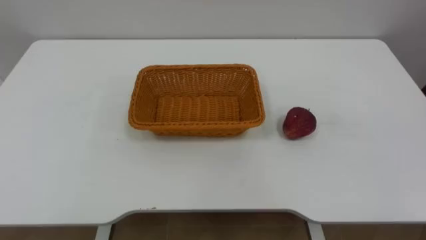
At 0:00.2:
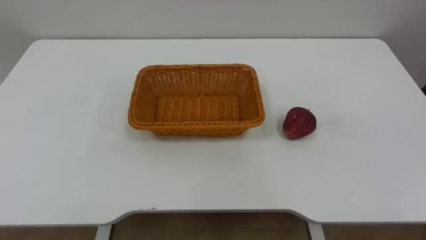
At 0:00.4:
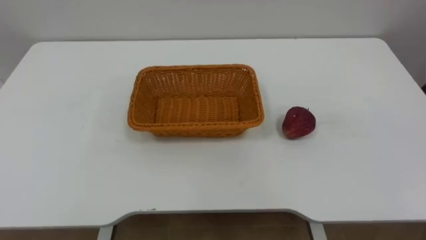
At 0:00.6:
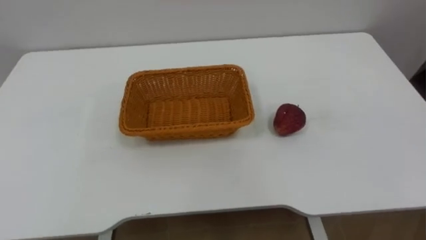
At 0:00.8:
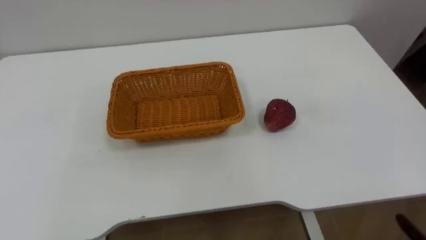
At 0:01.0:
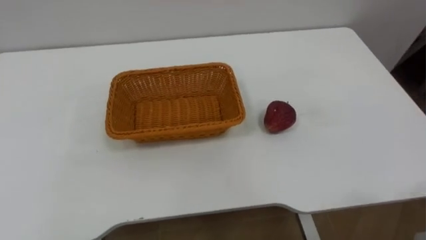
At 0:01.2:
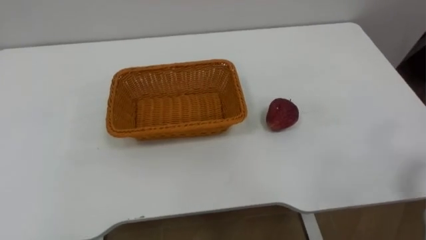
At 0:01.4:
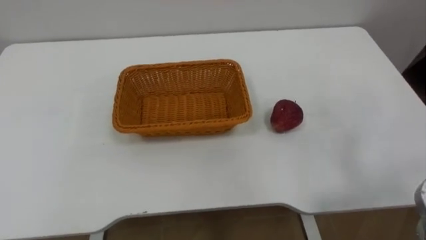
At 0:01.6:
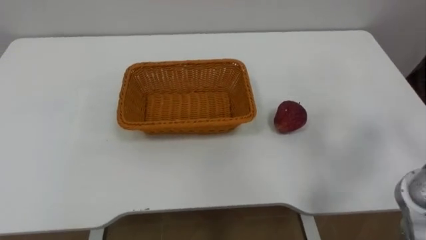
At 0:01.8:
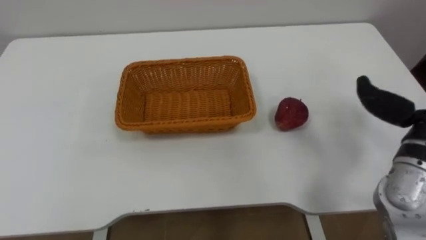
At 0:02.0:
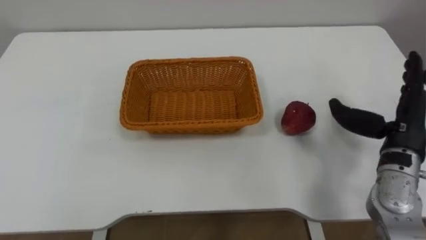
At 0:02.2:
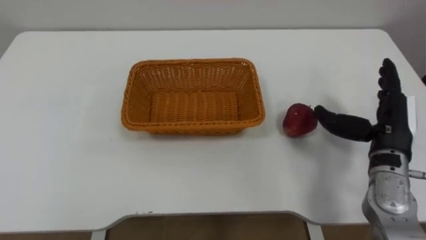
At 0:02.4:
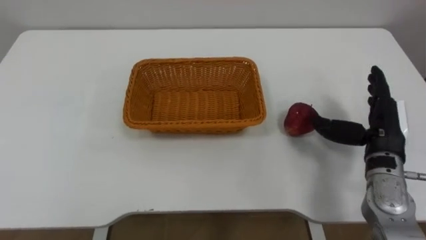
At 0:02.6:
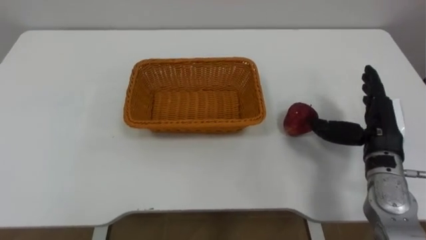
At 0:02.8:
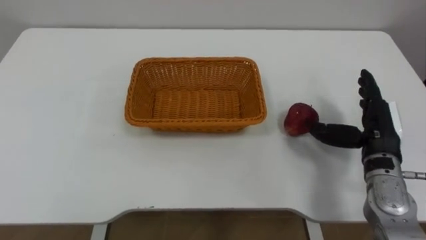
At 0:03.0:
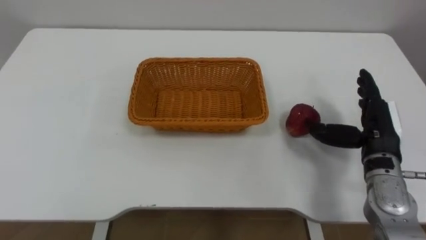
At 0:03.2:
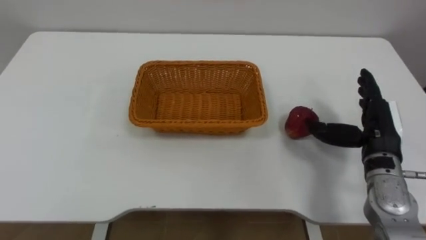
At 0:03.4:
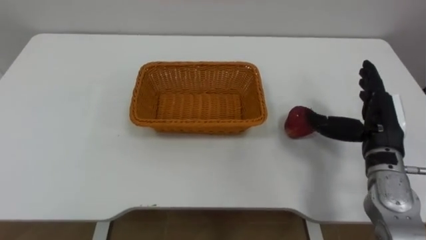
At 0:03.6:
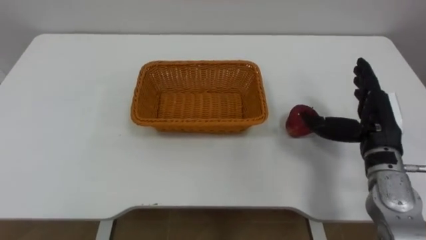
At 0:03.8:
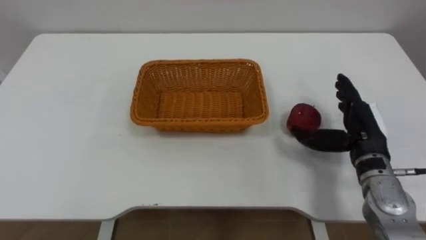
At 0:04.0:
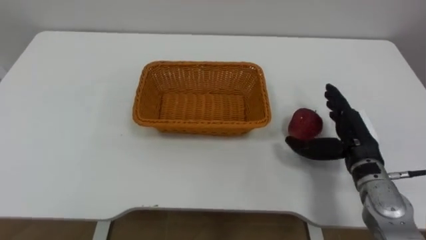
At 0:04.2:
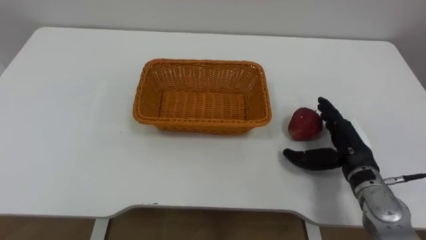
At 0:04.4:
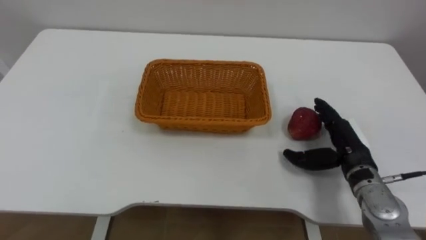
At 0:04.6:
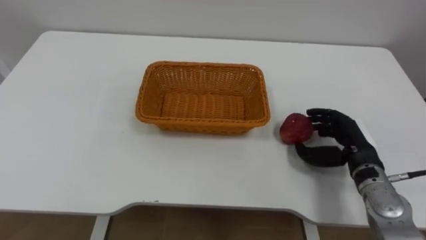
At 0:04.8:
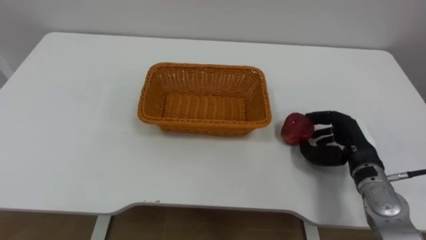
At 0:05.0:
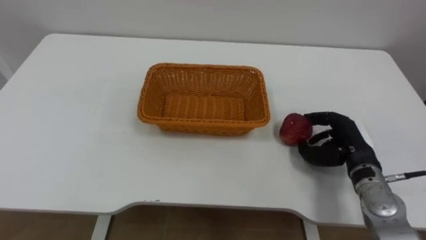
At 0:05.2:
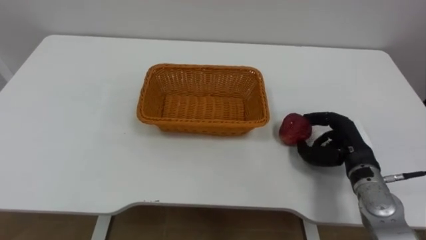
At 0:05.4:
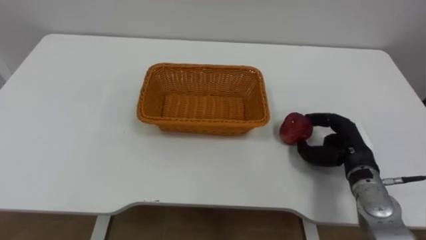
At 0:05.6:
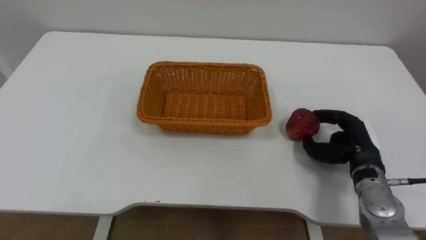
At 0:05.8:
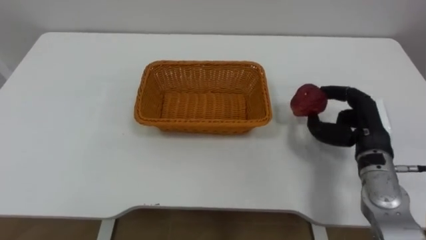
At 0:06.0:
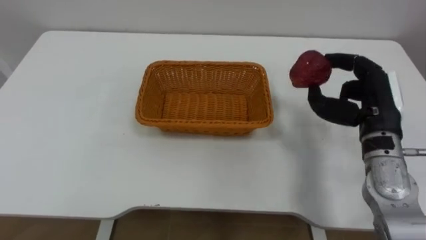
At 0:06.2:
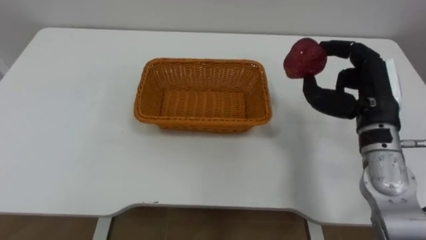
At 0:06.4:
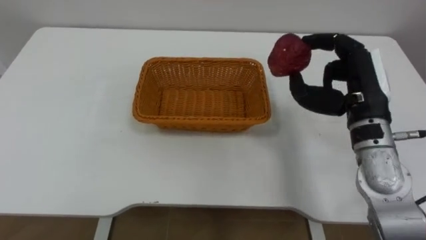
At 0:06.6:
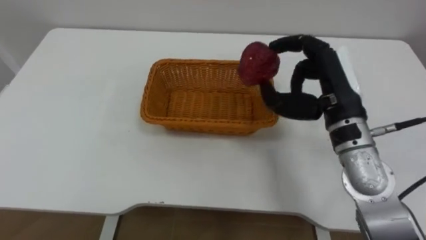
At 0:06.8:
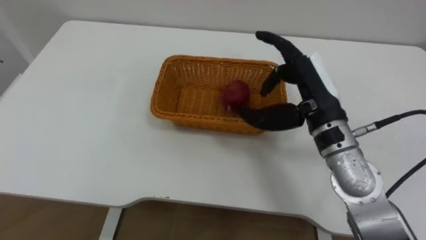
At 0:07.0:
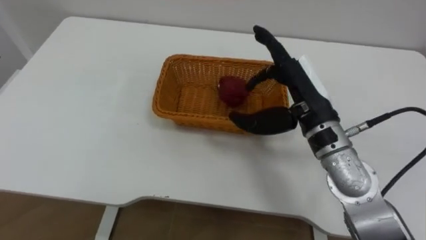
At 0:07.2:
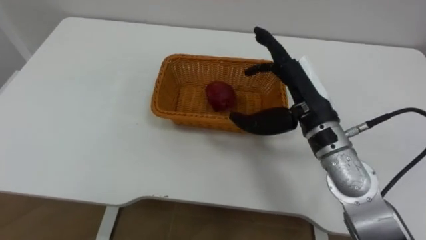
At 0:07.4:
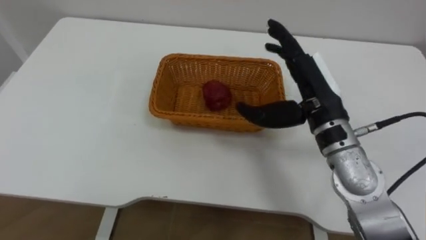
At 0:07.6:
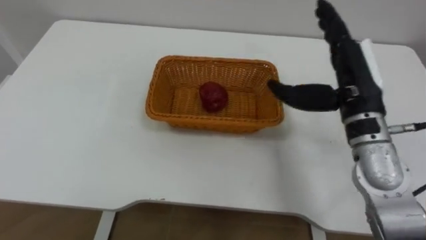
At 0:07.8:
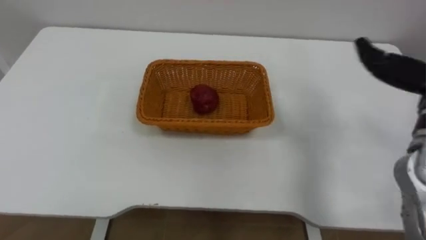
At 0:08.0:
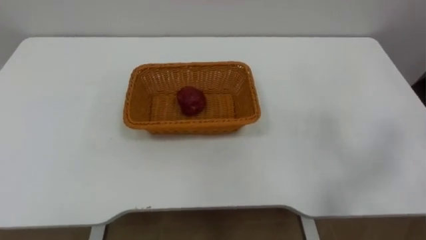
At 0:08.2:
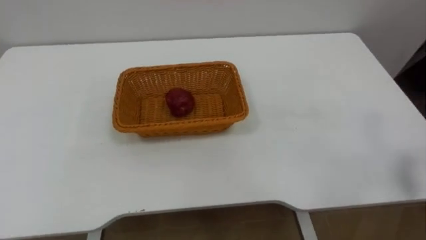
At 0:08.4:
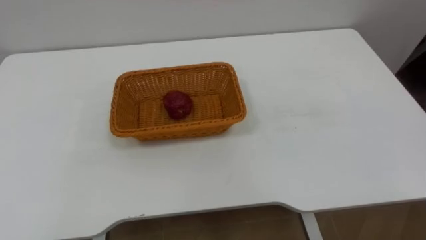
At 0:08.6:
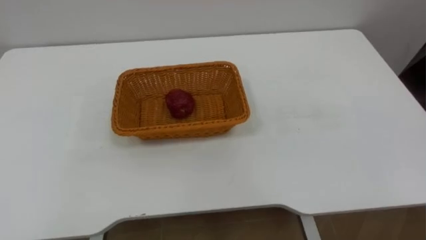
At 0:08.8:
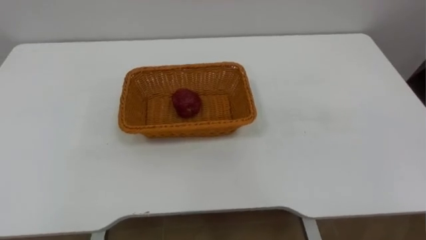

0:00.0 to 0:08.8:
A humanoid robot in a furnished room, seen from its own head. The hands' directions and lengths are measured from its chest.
Task of the whole recording: Pick the apple and place it in the box.
0:03.0 to 0:04.4: The right hand travels downward by approximately 5 cm.
0:04.4 to 0:05.8: The right hand moves roughly 5 cm, and closes.
0:05.8 to 0:07.4: The right hand heads to the left and upward, covering approximately 15 cm, and opens its fingers.

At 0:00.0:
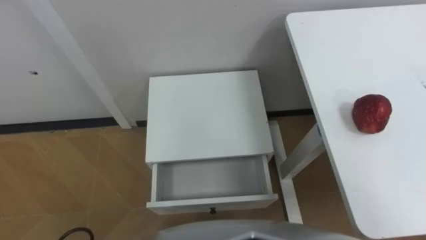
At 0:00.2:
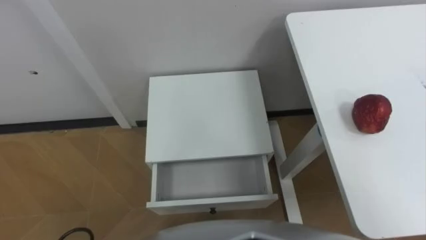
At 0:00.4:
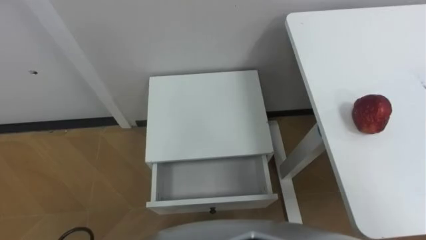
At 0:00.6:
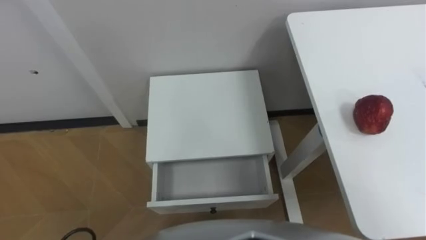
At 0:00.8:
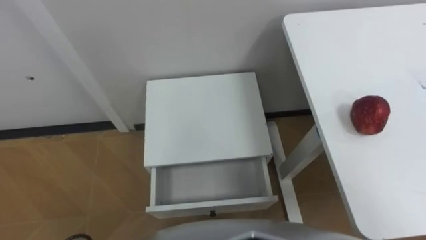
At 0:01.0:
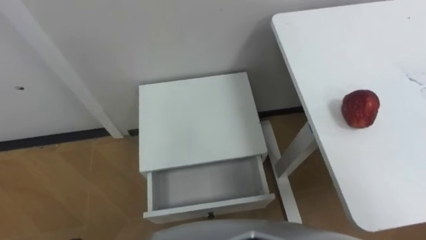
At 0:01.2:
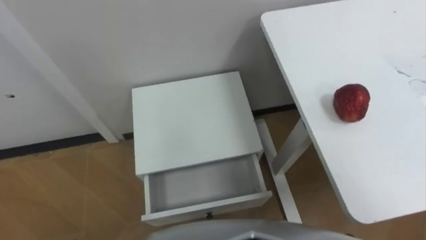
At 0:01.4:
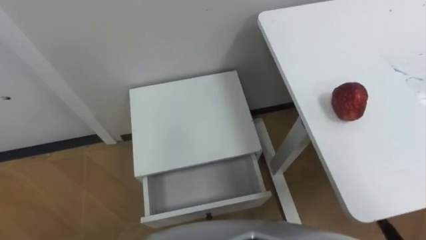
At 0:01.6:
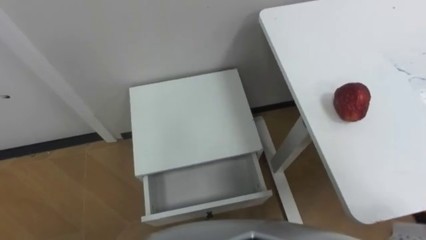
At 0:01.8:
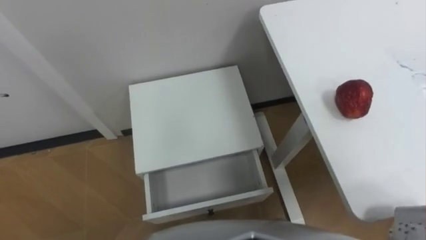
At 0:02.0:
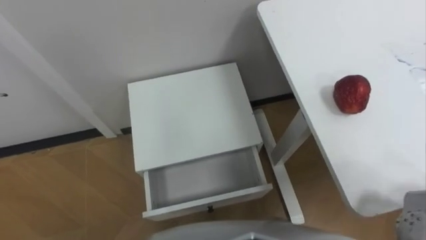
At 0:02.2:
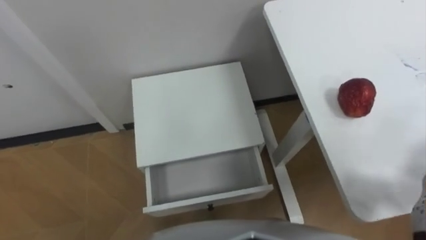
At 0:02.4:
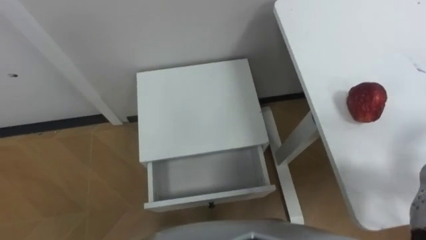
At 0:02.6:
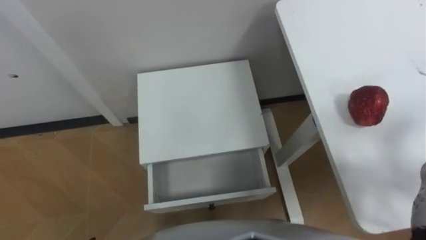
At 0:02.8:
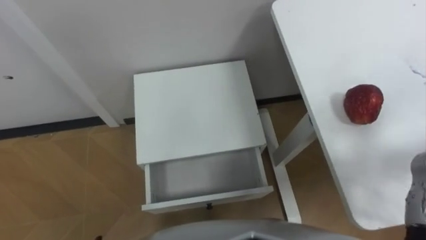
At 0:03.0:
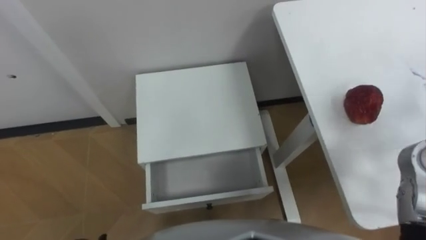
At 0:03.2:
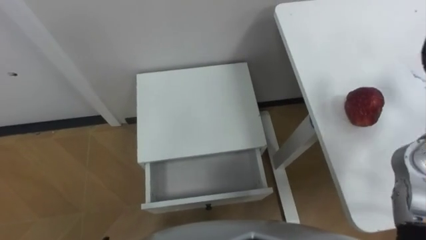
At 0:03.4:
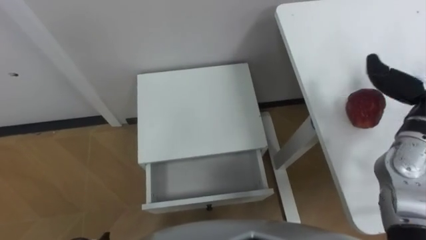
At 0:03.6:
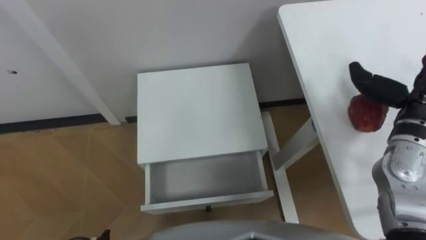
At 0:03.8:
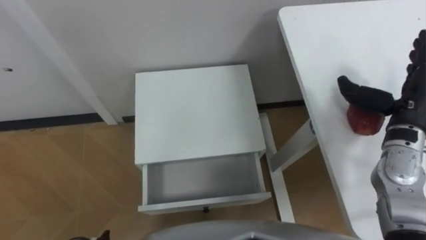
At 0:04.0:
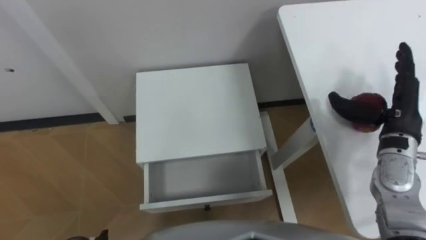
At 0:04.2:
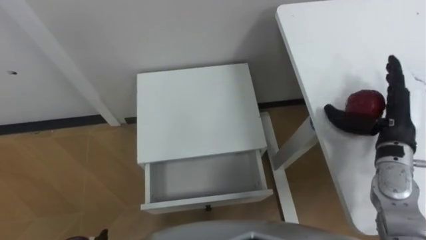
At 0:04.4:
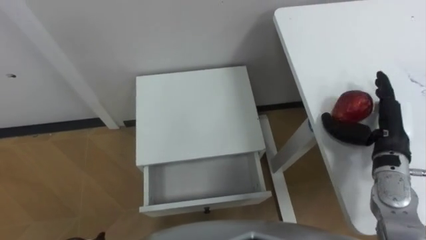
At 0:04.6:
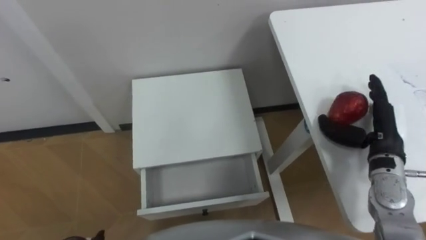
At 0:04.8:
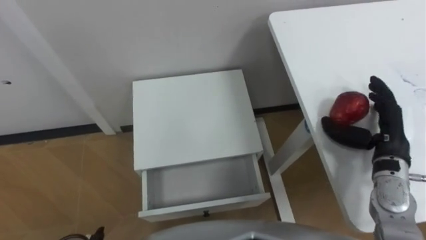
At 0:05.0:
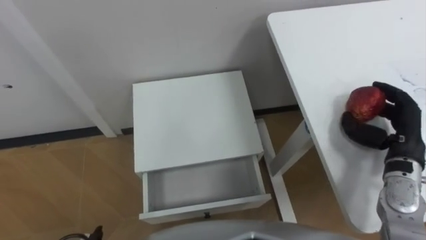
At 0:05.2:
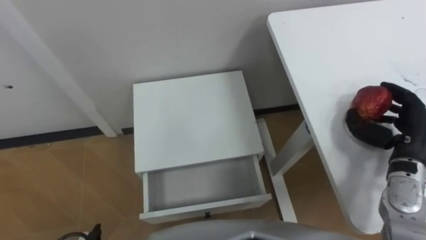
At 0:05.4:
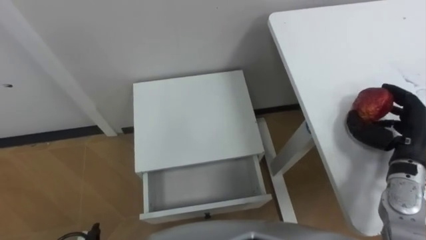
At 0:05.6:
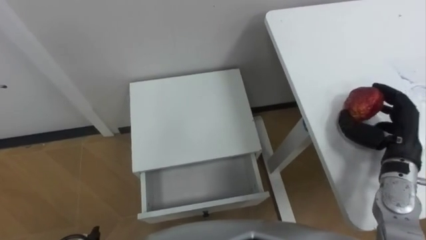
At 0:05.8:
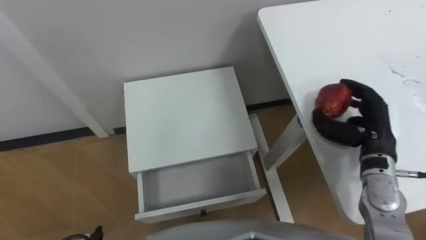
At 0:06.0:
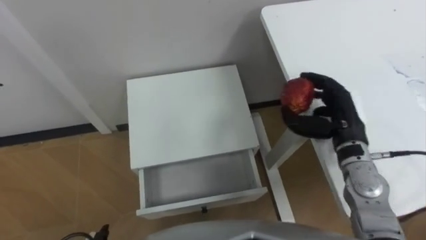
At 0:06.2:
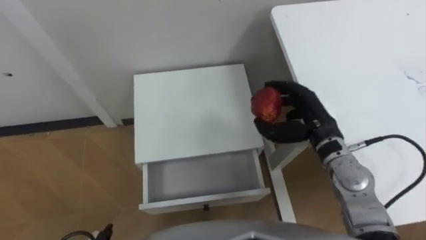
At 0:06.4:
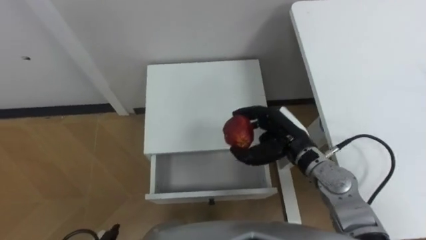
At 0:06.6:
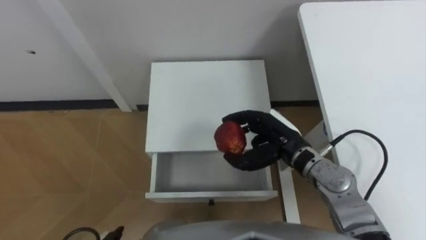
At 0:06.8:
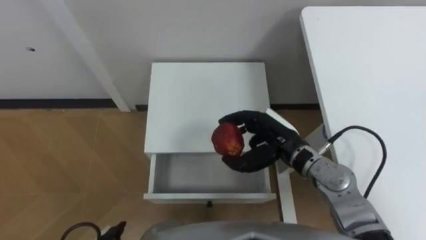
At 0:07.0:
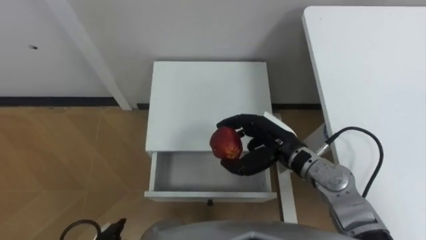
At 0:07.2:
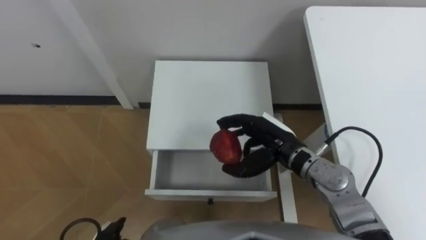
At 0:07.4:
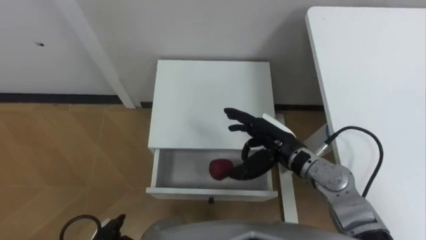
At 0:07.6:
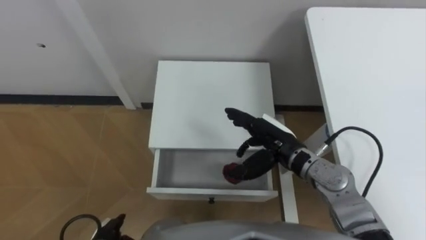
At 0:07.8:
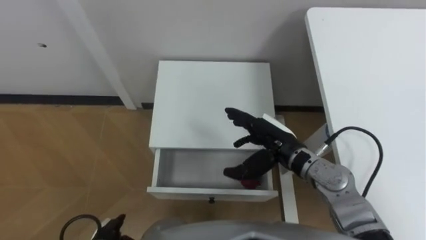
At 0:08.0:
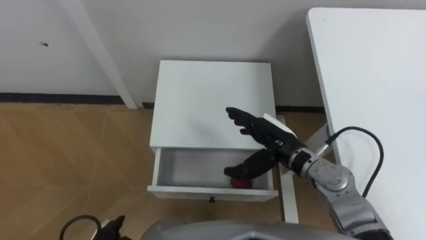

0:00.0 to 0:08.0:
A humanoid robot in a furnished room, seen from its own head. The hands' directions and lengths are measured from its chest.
Task of the whole recording: Pick up the apple from the table, put it in the drawer, and close the drawer with leg.
0:04.8 to 0:06.4: The right hand travels to the left by roughly 15 cm, and closes its fingers.
0:06.4 to 0:08.0: The right hand opens up.
